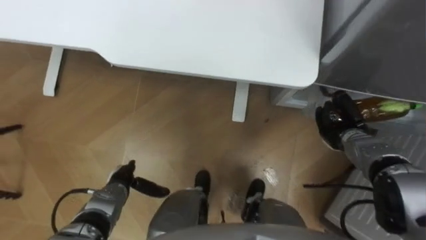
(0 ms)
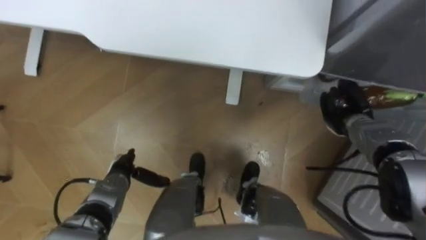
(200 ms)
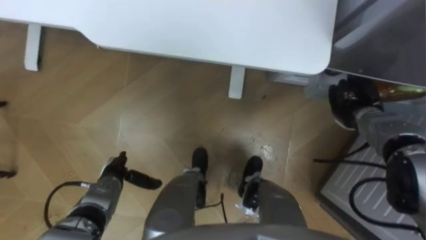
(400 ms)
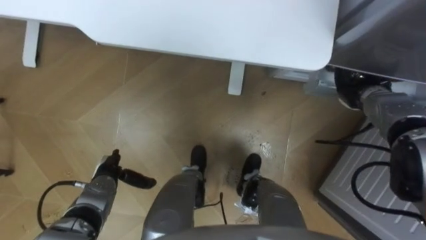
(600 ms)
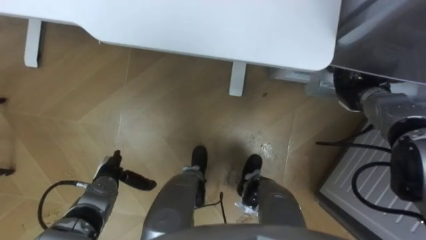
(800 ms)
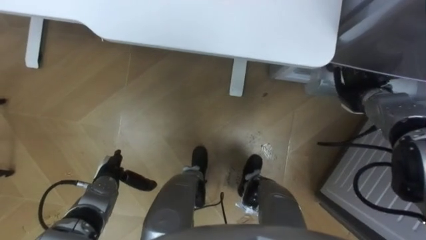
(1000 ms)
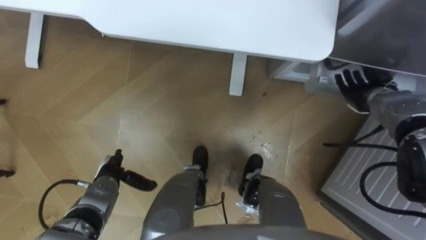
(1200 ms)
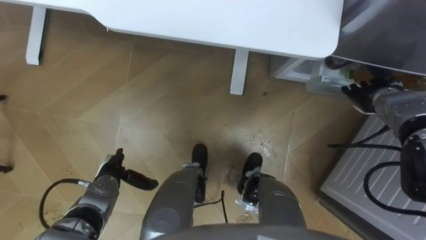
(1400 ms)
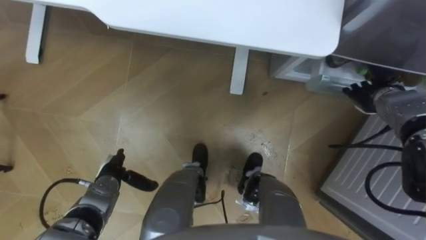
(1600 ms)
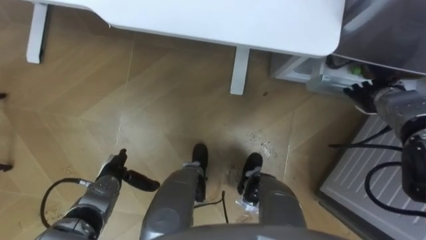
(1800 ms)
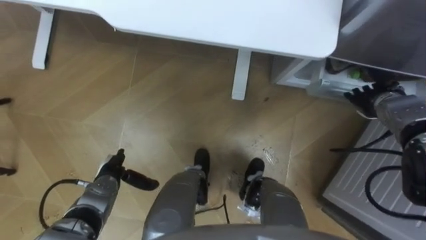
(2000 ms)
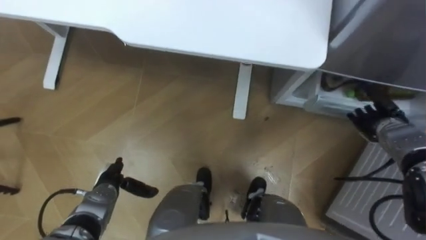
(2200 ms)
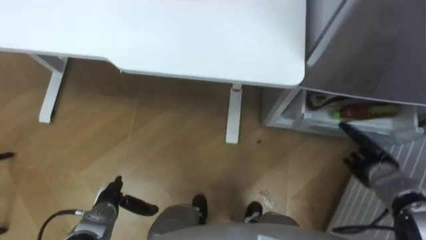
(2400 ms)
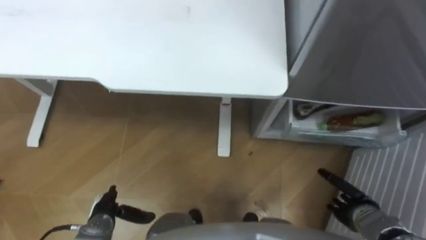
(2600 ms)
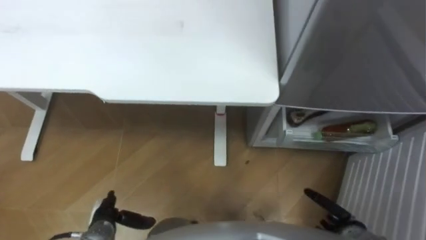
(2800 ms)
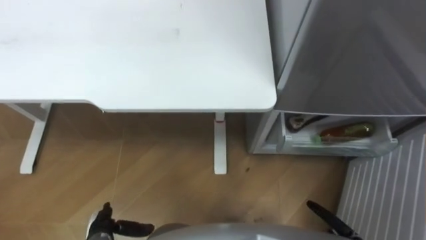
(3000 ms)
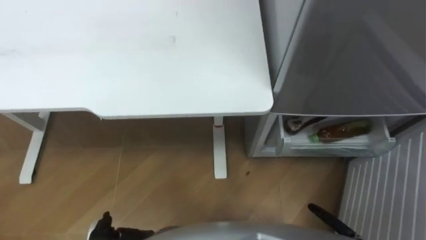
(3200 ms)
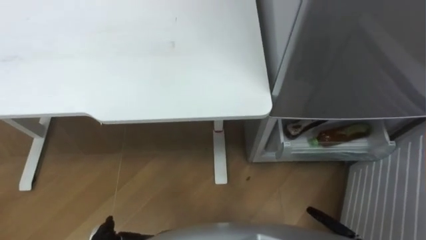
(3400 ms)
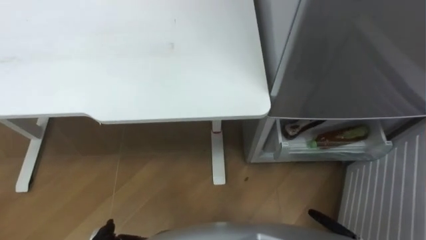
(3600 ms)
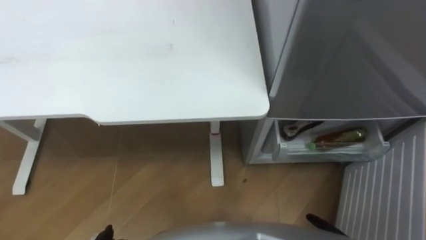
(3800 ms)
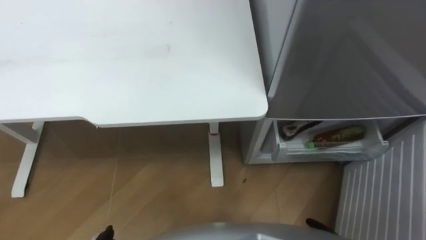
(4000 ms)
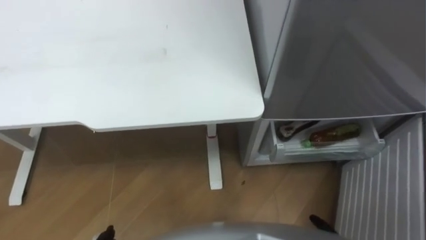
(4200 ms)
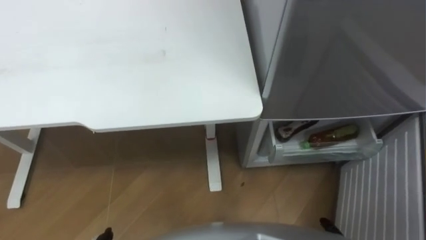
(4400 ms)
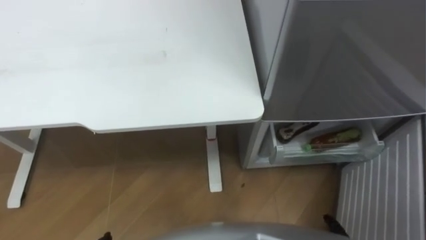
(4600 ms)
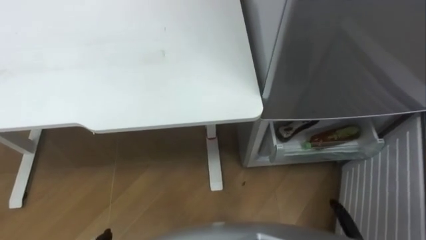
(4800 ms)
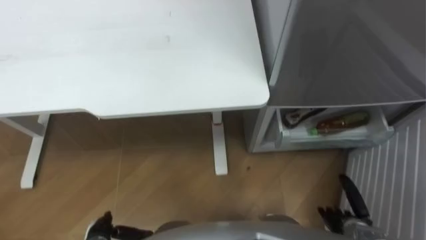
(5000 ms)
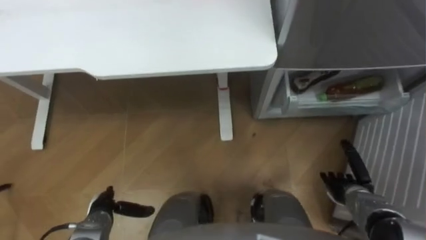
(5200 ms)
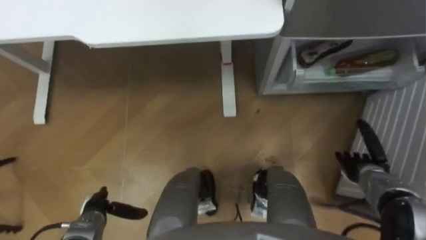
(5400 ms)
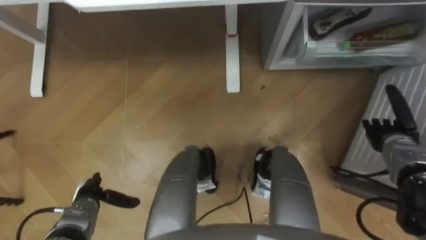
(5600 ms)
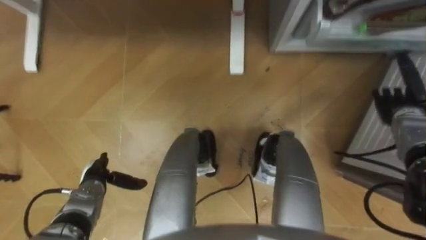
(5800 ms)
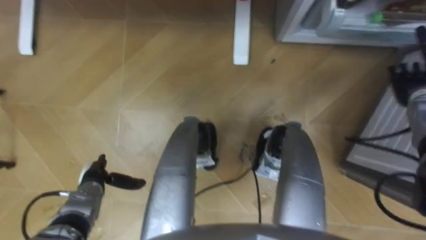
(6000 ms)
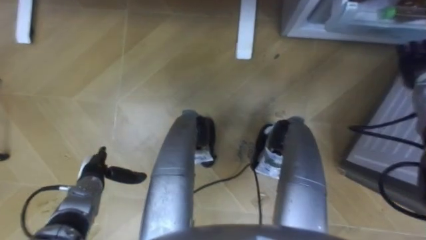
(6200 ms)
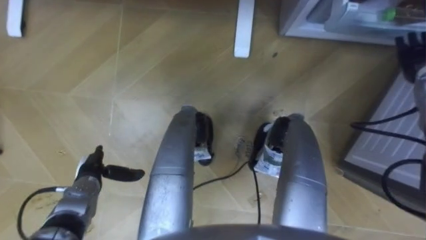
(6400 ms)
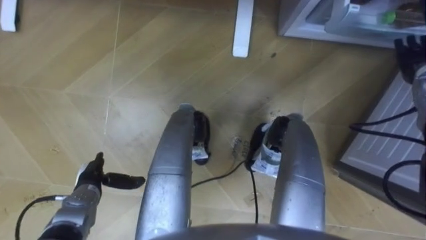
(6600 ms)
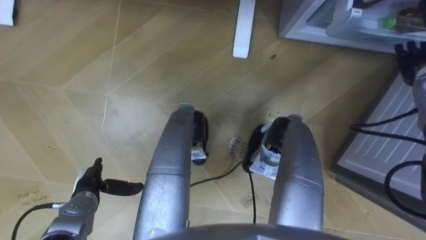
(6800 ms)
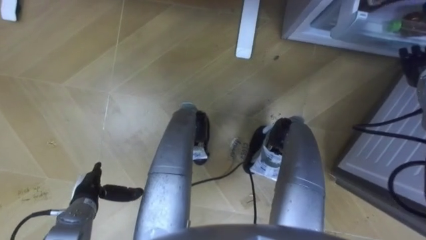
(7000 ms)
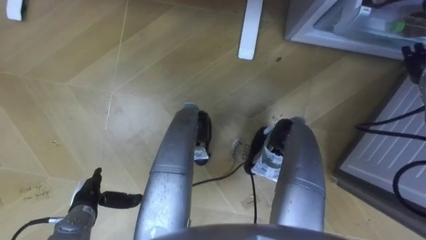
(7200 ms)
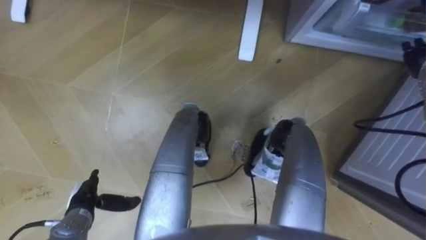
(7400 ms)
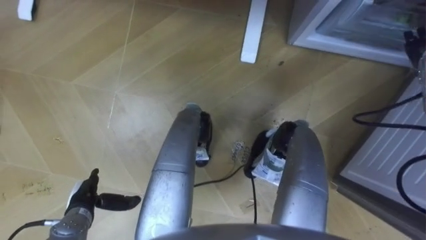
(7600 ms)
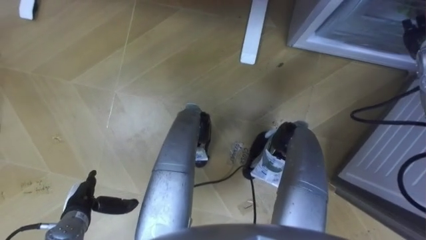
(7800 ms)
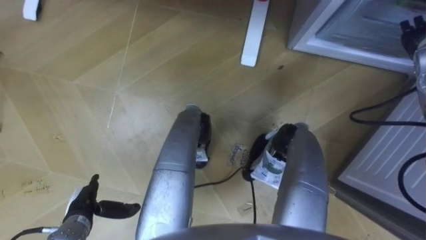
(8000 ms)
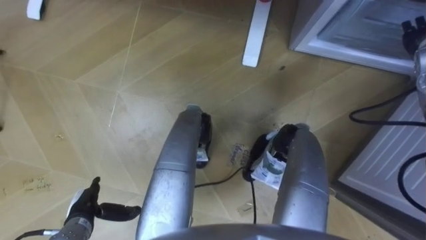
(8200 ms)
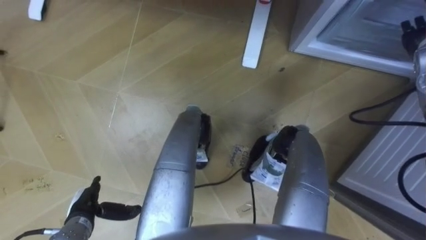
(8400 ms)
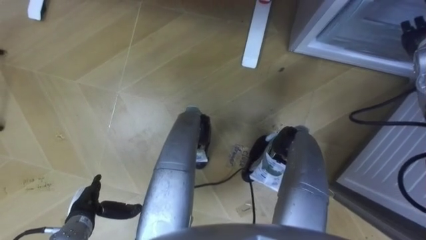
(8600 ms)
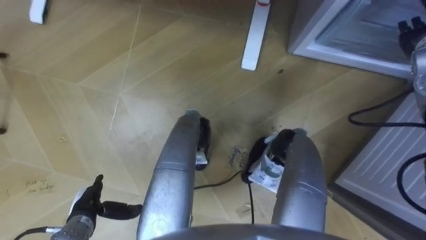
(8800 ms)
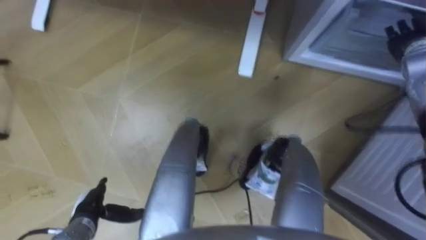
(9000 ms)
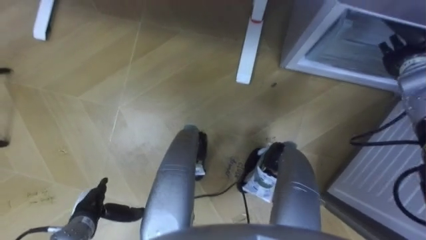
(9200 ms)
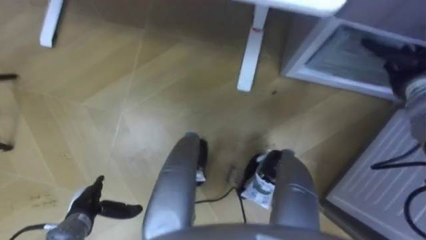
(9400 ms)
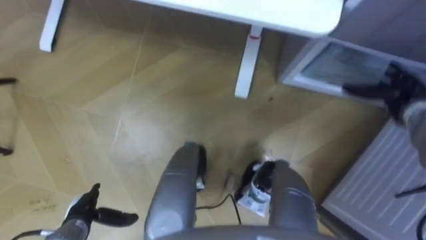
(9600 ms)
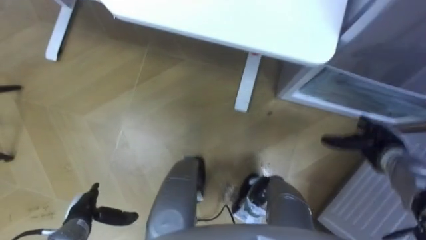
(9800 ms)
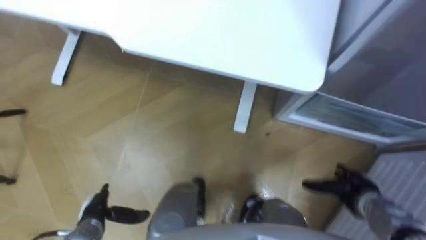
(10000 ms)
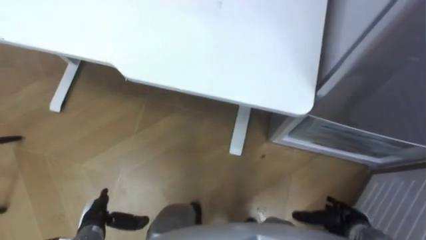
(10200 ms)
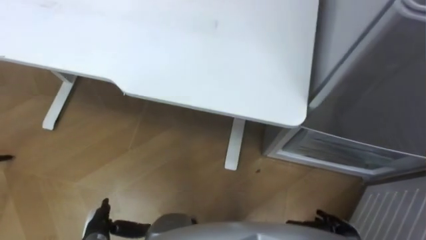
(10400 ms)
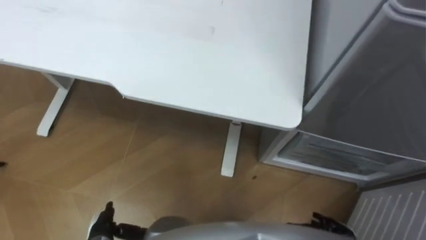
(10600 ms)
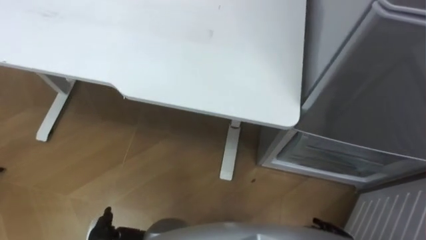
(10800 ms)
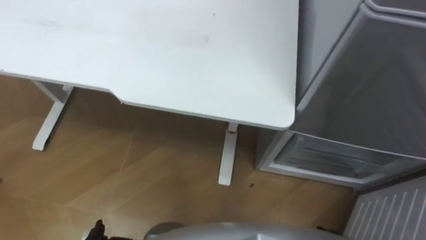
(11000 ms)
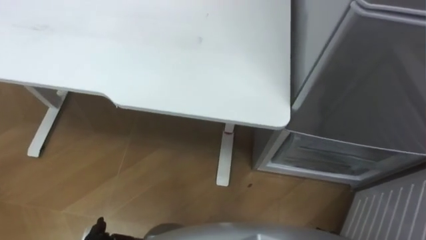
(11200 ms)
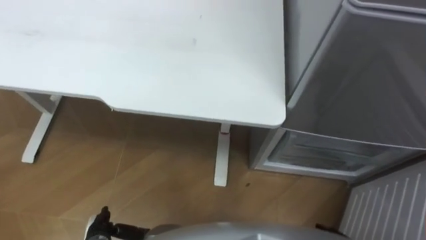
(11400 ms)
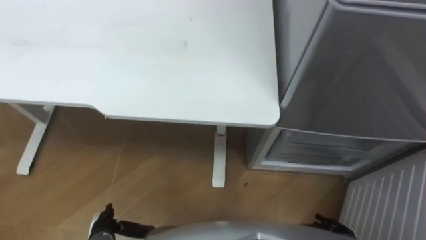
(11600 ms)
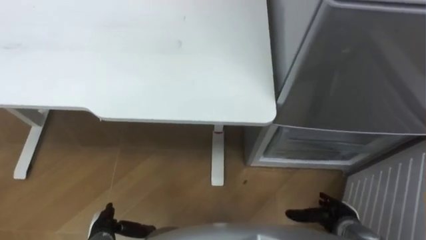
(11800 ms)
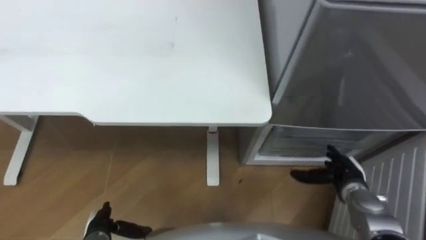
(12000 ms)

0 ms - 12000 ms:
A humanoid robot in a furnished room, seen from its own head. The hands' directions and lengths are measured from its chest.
Task of the whole recording: Place the drink on the table on the bottom shelf of the refrigerator, then close the drawer and the refrigerator door.
0 ms - 1600 ms: The right hand travels upward, forward and to the right by approximately 10 cm, and opens.
1600 ms - 3000 ms: The left hand travels backward by roughly 10 cm.
6000 ms - 7600 ms: The left hand is displaced backward by roughly 5 cm; the right hand travels upward by some 5 cm.
9000 ms - 10400 ms: The right hand is displaced backward and downward by roughly 40 cm.

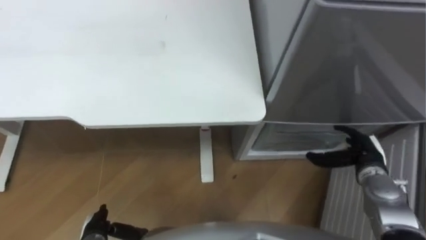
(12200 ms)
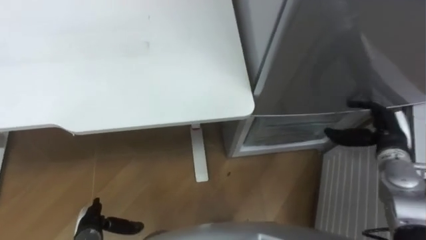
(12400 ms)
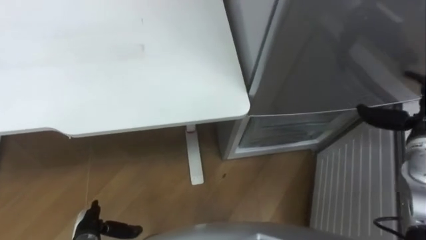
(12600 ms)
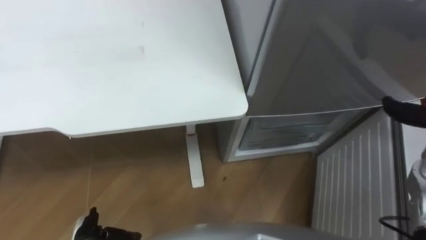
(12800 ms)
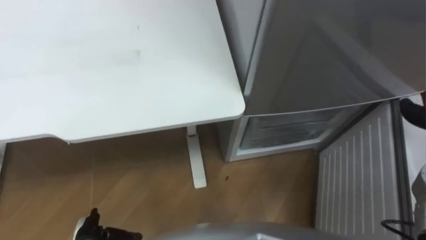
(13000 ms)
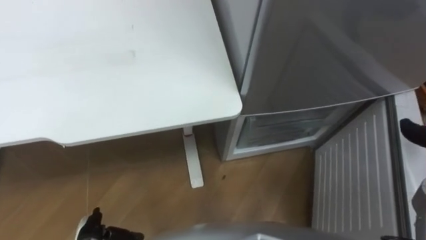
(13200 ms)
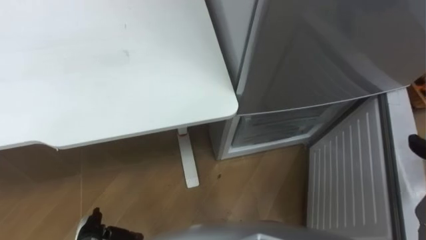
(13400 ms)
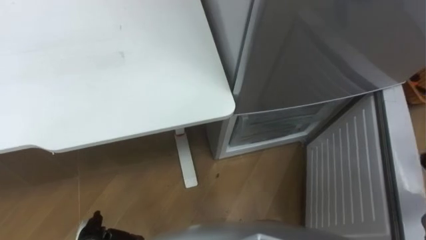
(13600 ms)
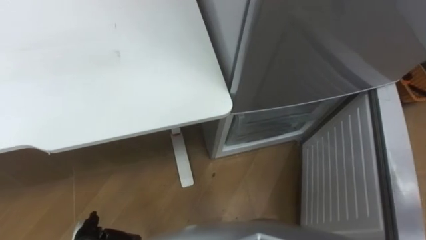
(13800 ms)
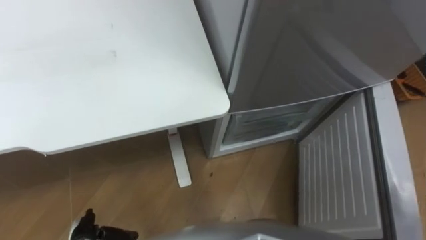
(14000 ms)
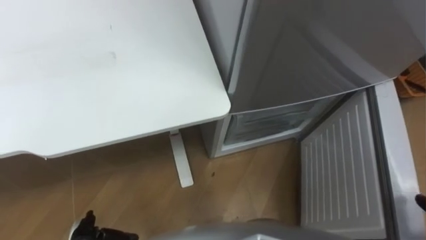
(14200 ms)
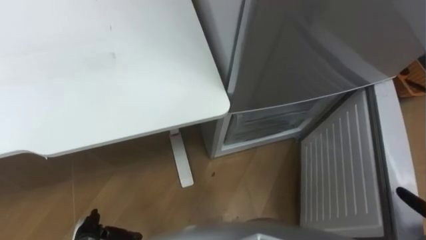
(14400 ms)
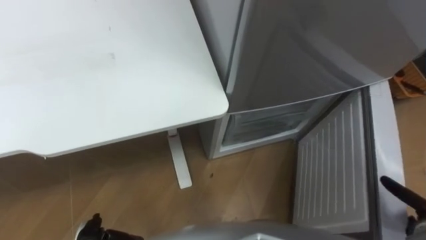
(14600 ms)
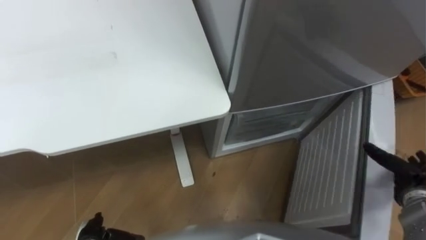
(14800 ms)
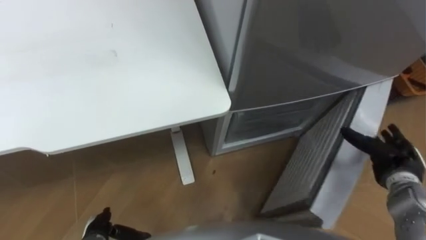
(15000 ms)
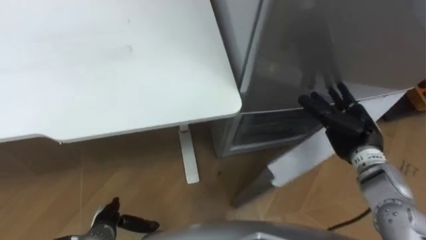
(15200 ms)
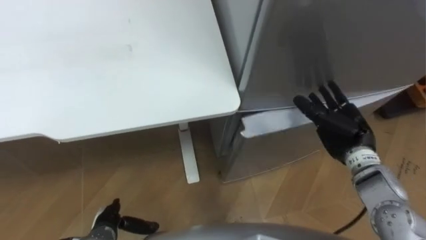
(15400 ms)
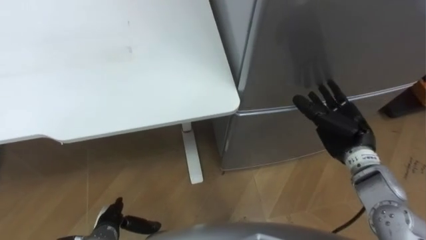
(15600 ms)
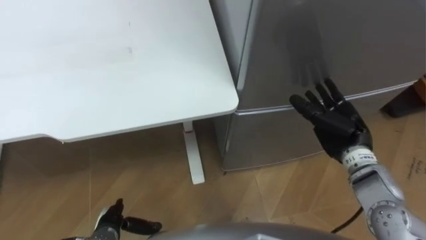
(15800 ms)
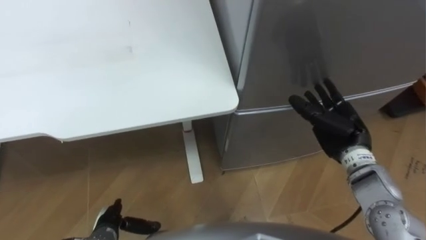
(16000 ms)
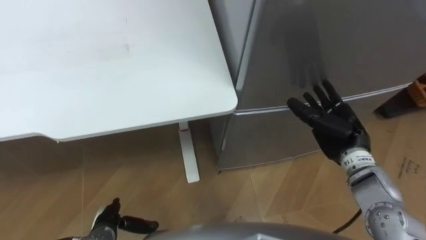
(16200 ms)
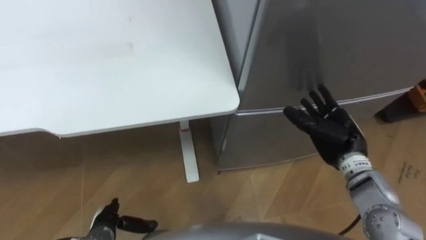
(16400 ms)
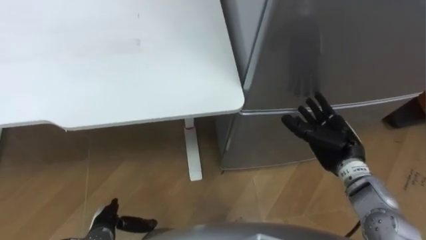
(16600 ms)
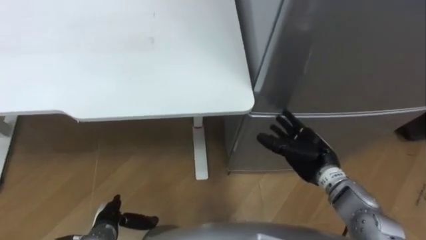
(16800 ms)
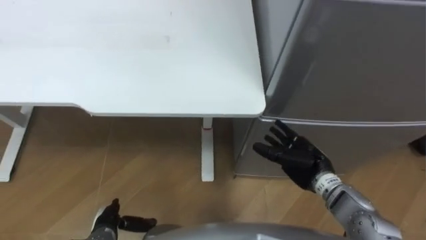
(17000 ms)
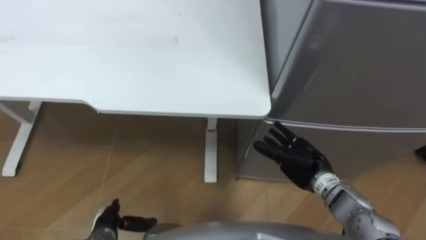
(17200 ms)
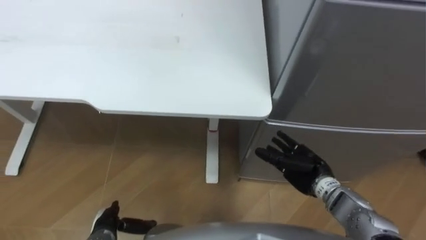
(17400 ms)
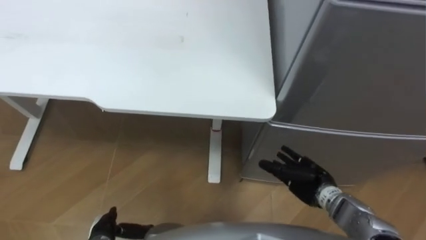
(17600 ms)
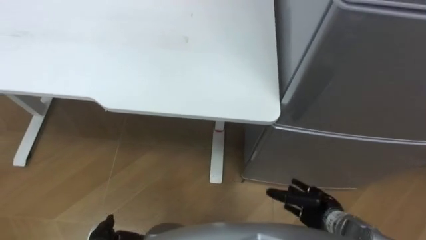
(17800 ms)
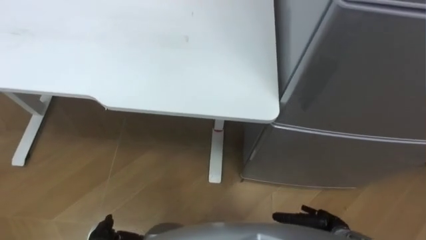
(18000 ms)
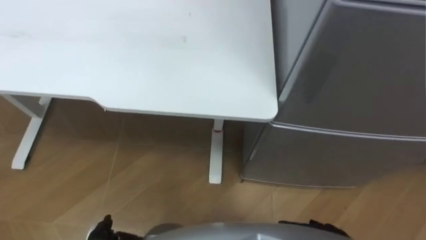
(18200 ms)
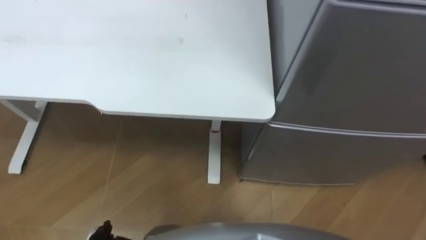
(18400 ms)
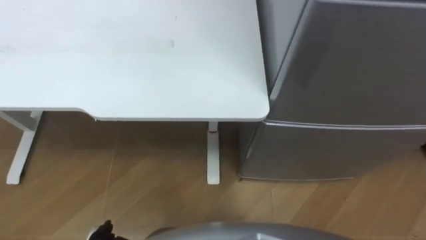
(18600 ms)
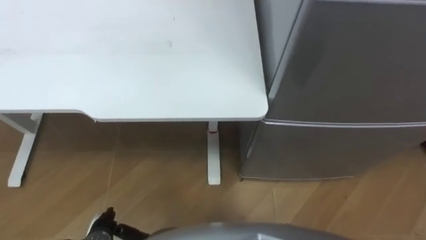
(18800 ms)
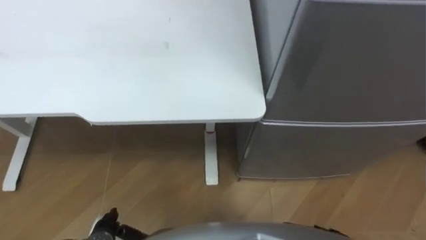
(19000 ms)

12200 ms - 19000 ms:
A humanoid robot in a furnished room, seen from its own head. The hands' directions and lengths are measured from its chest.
Task of the whole recording: Place the drink on the table on the bottom shelf of the refrigerator, then close the drawer and the refrigerator door.
15000 ms - 16200 ms: The right hand travels to the left, forward and upward by roughly 15 cm.
16200 ms - 17600 ms: The right hand is displaced downward and backward by roughly 15 cm.
